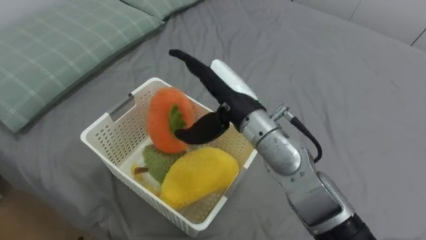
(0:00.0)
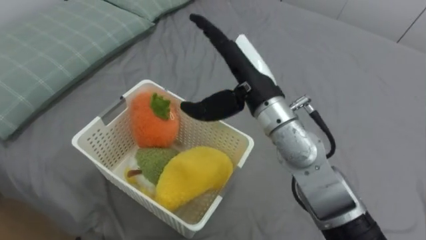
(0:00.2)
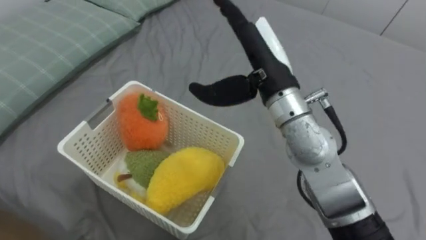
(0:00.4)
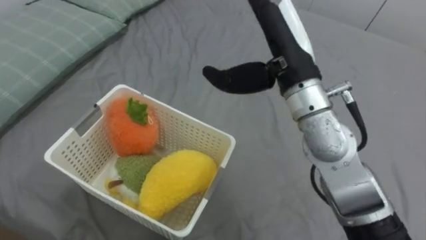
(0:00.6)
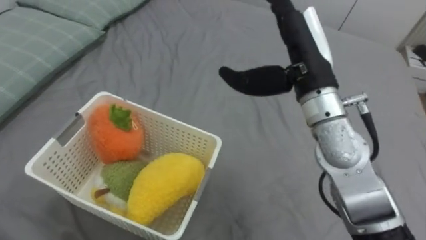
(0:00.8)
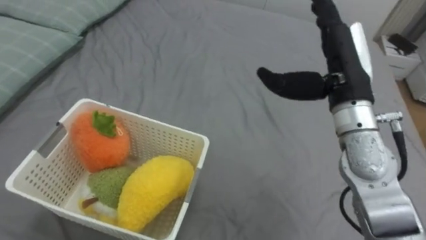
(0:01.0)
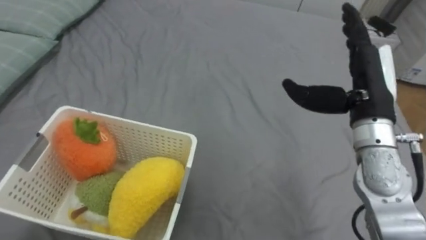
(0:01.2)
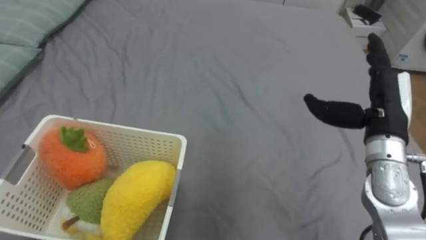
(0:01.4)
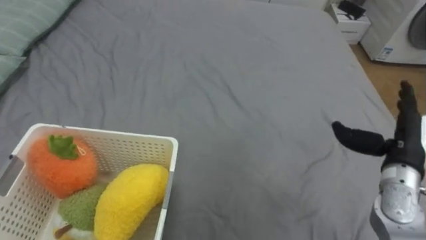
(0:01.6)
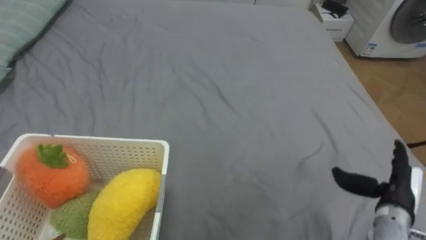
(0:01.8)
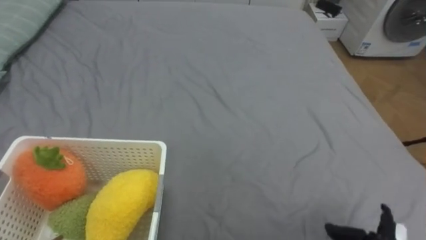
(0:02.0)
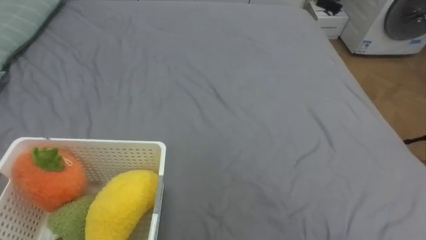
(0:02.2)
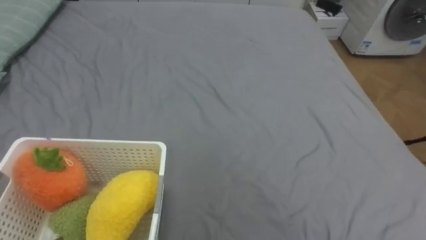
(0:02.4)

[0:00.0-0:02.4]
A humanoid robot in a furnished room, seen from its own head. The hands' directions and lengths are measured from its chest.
Task of the whole recording: Put the toys on the bed into the basket on the left.
0:00.0 to 0:01.2: The right hand heads to the right, covering some 20 cm.

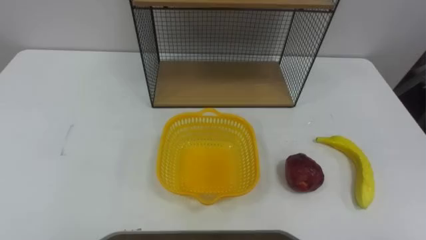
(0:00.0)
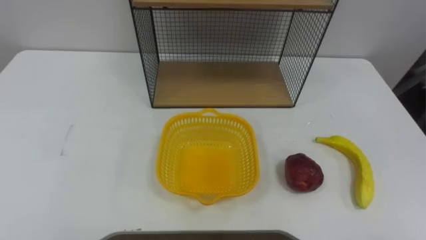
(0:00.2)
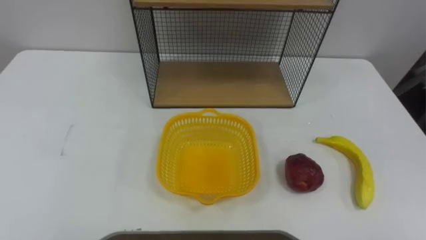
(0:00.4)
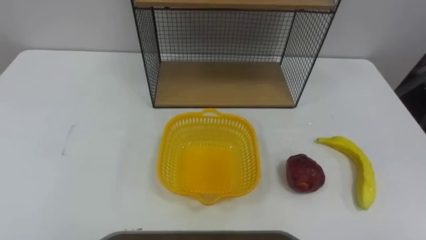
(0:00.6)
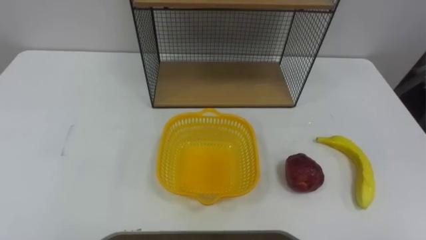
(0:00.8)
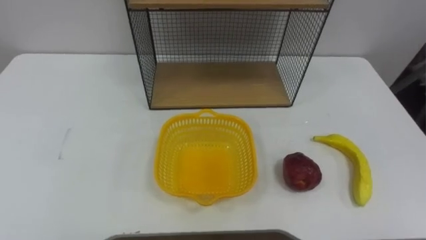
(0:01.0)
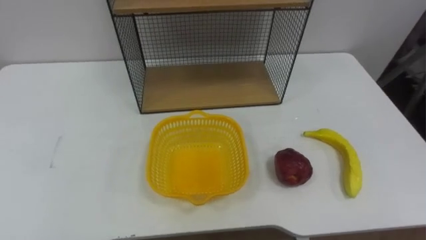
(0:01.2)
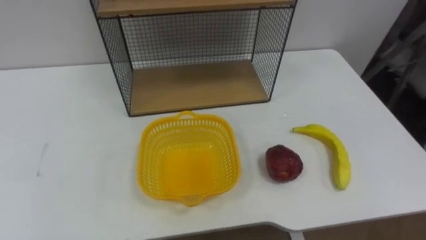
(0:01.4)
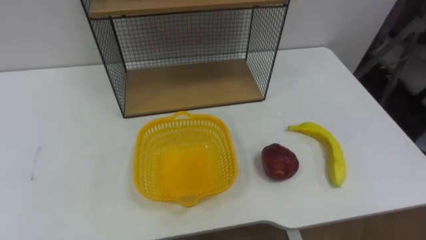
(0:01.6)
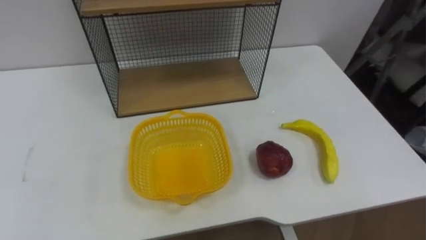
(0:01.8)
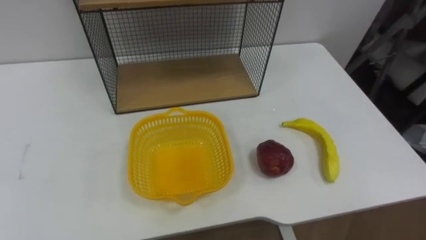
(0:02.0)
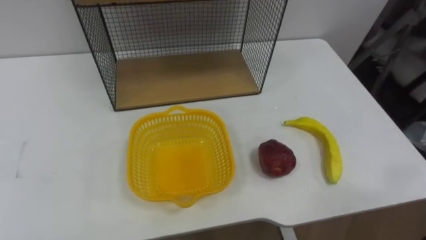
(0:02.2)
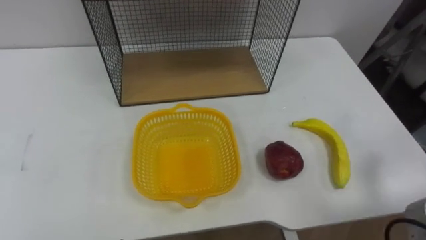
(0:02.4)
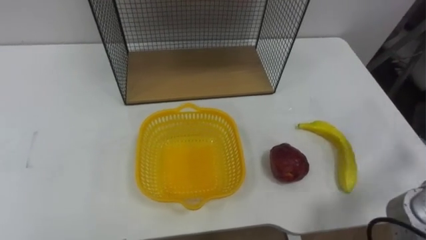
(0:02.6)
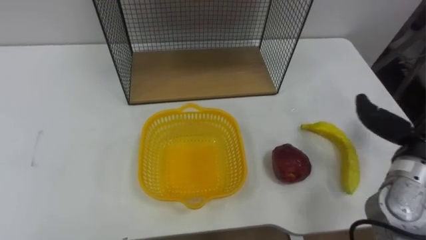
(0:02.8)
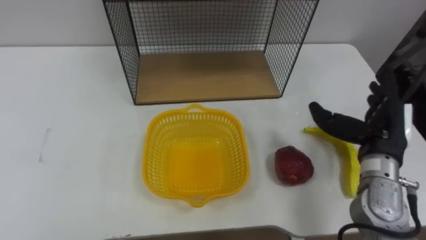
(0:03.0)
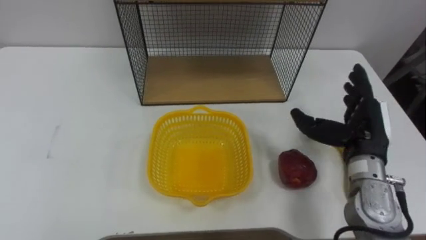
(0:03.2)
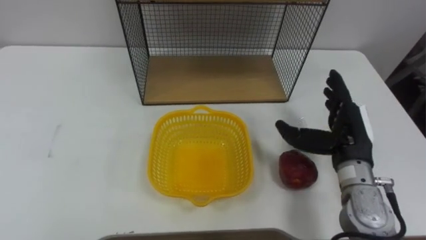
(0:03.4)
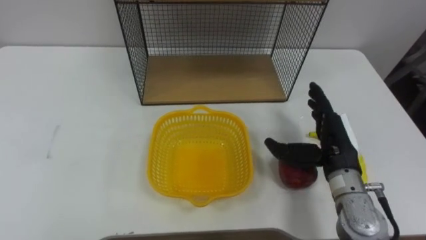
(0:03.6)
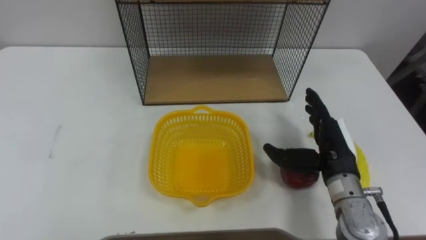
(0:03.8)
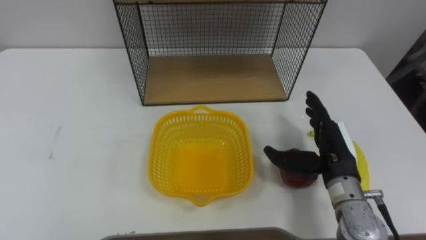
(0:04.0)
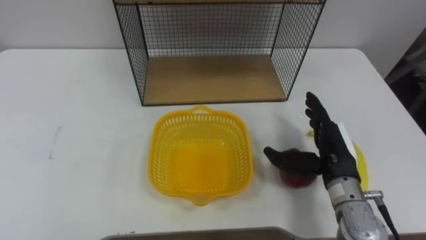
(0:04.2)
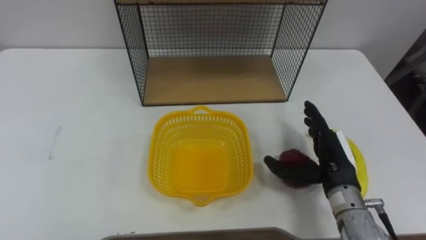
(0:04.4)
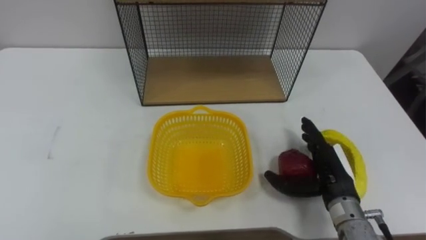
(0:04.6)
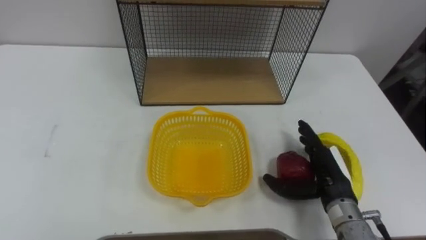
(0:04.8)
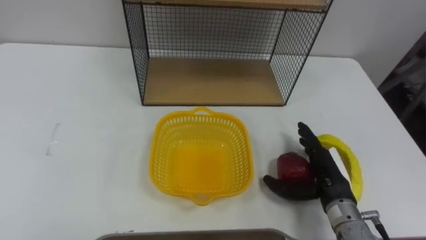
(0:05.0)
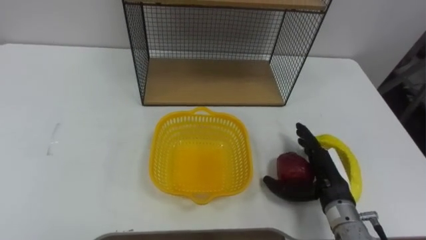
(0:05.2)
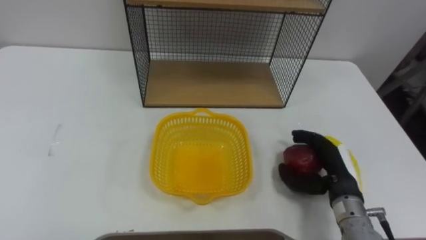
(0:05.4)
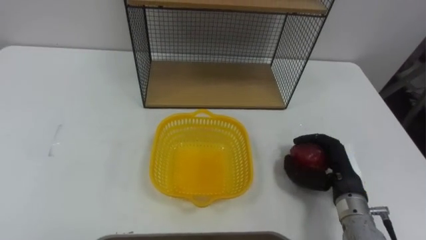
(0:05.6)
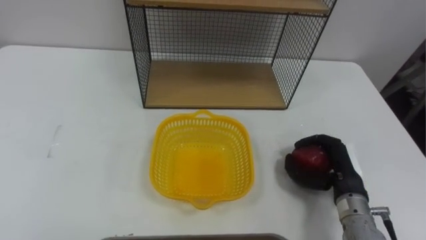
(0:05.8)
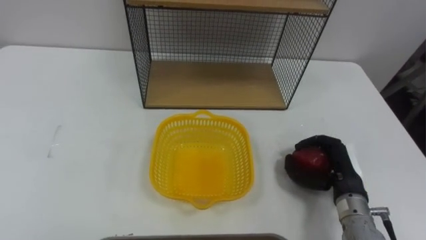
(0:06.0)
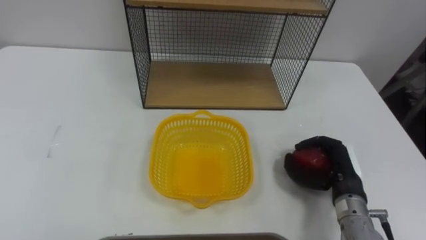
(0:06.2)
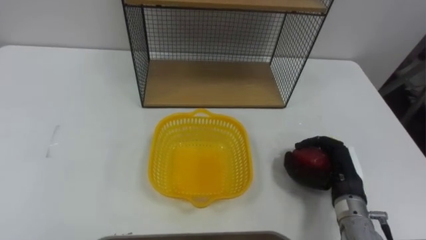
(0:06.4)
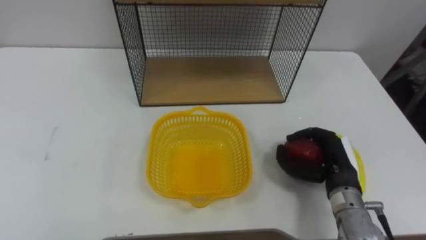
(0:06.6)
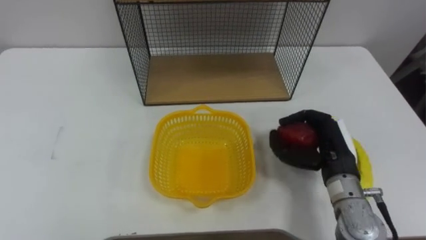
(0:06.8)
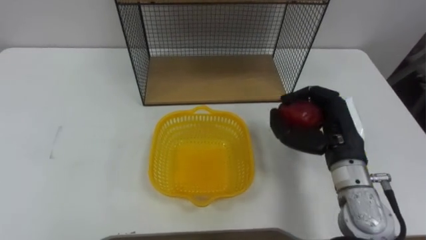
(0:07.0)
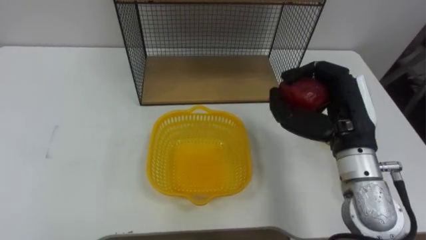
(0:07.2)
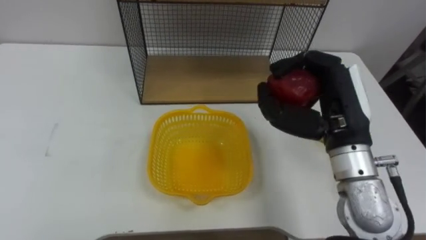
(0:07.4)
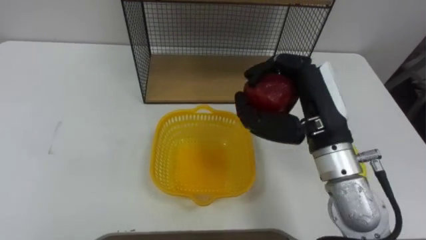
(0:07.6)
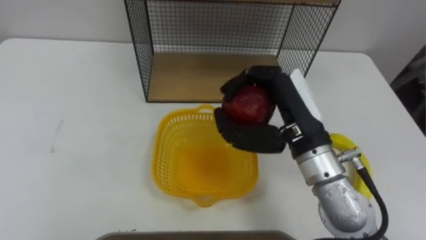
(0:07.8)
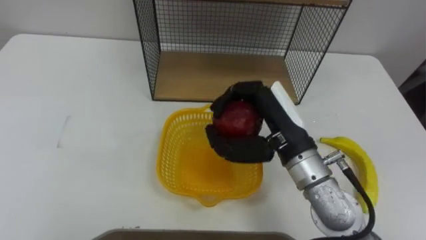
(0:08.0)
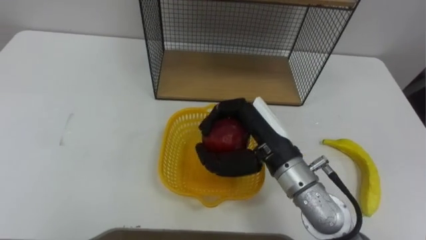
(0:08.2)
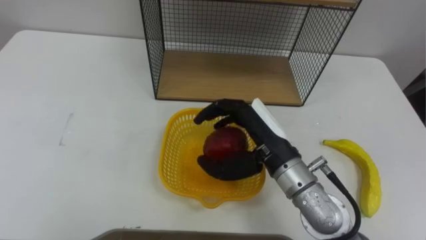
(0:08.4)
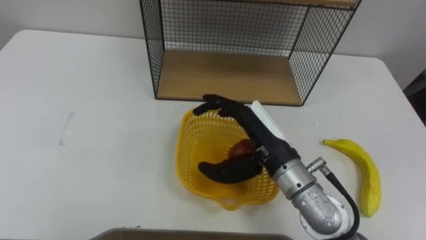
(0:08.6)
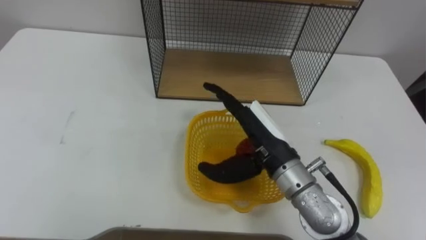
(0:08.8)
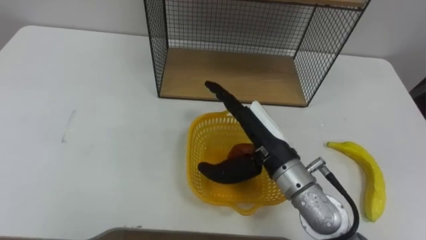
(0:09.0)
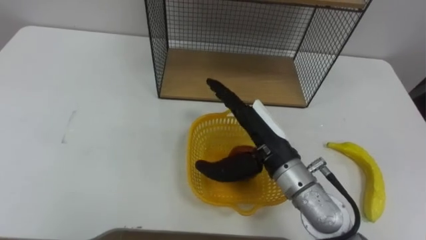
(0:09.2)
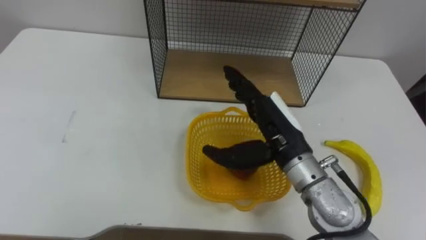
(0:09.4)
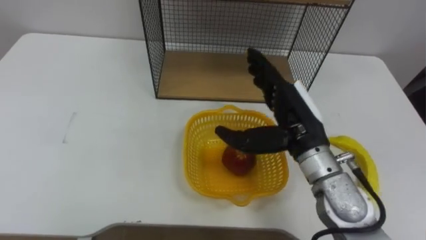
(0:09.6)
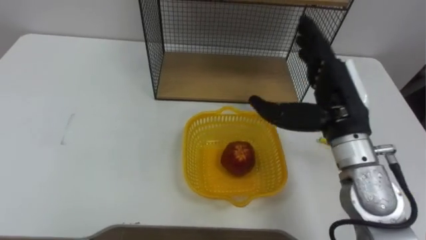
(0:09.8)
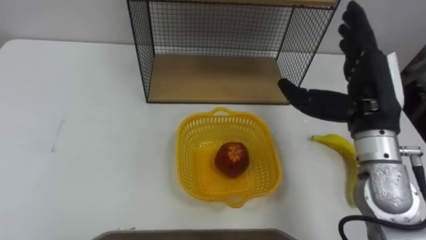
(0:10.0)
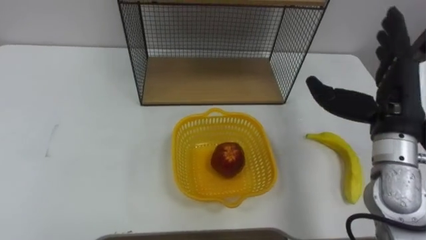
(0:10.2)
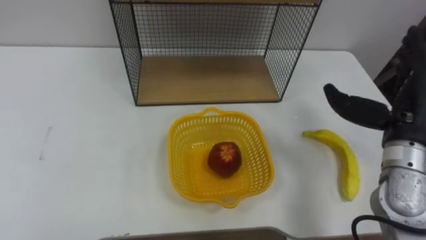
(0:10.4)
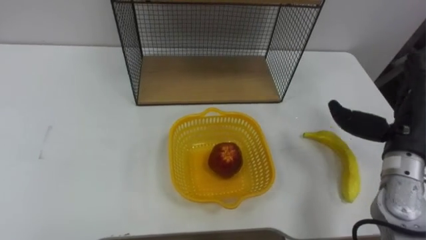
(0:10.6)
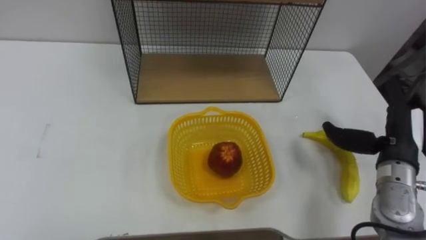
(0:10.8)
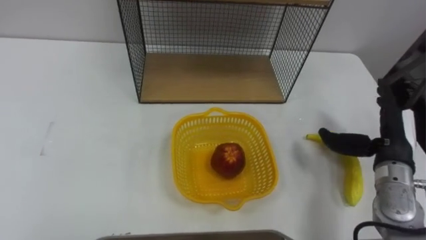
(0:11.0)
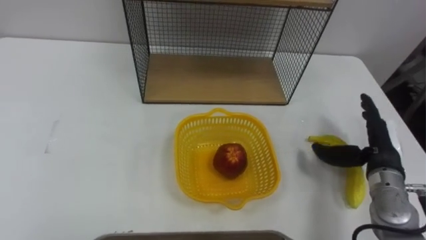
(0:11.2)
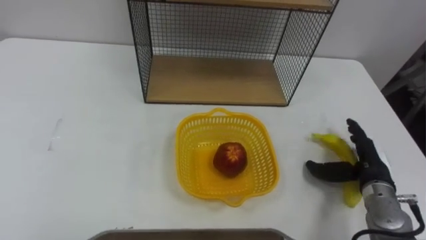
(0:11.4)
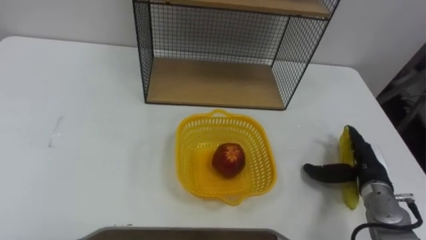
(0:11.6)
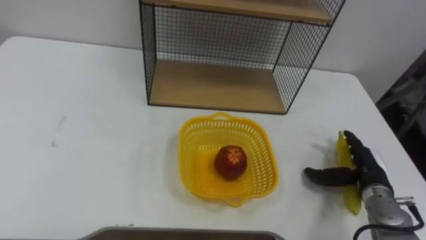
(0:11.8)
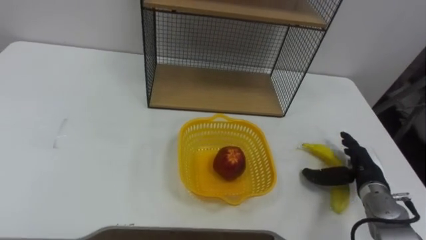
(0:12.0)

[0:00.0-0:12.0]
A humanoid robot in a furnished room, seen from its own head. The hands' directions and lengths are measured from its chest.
Task of the whole recording: Put the fruit on the table into the basket, then place the basket on the shelf.
0:03.0 to 0:04.4: The right hand shifts about 10 cm to the left and downward.
0:04.4 to 0:06.0: The right hand shifts by roughly 5 cm, and closes.
0:06.0 to 0:07.6: The right hand is displaced upward and to the left by about 20 cm.
0:07.6 to 0:09.0: The right hand heads downward and to the left, covering roughly 10 cm, and opens up.
0:09.0 to 0:10.4: The right hand heads to the right, covering about 20 cm.
0:10.4 to 0:12.0: The right hand travels downward by some 20 cm.

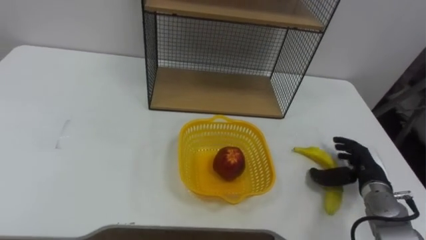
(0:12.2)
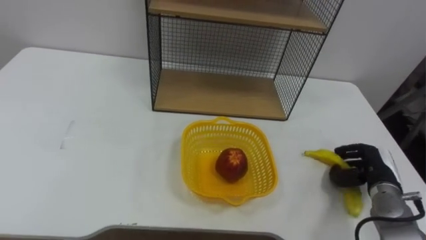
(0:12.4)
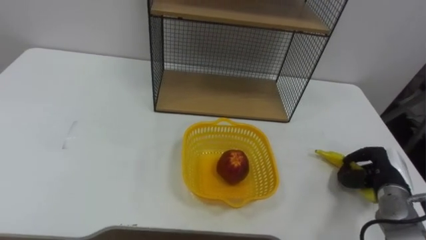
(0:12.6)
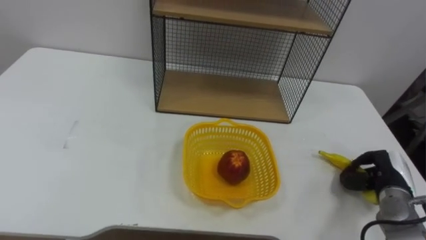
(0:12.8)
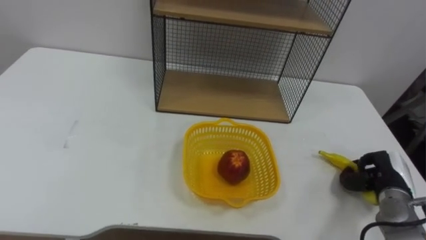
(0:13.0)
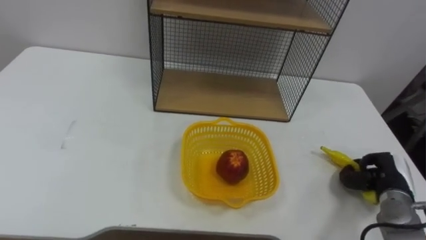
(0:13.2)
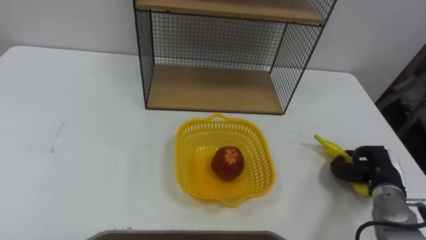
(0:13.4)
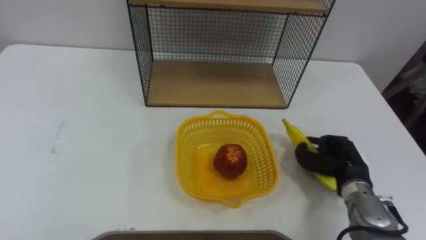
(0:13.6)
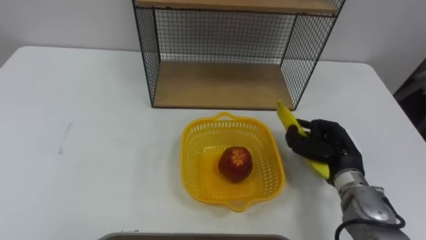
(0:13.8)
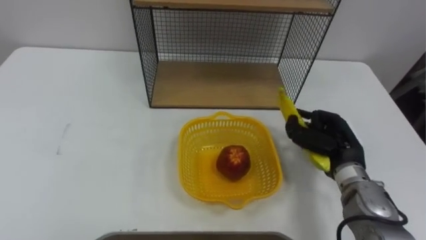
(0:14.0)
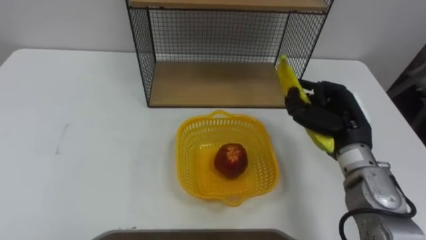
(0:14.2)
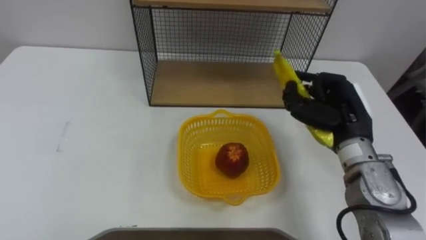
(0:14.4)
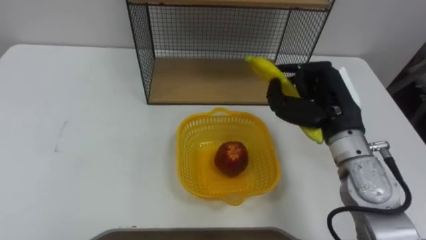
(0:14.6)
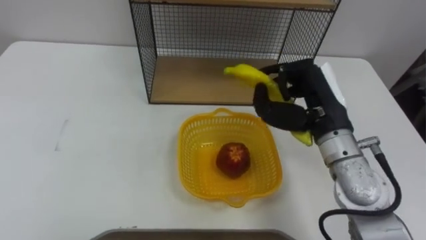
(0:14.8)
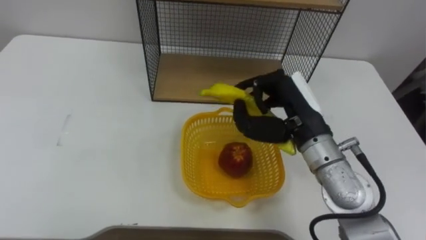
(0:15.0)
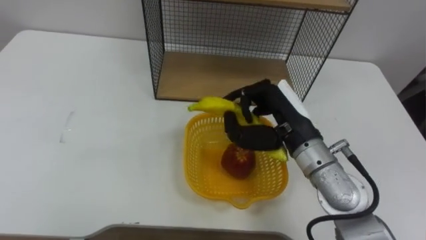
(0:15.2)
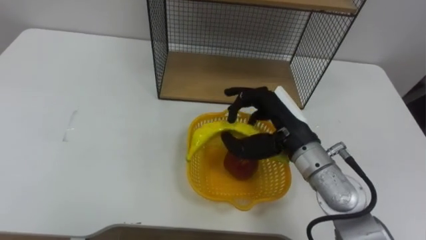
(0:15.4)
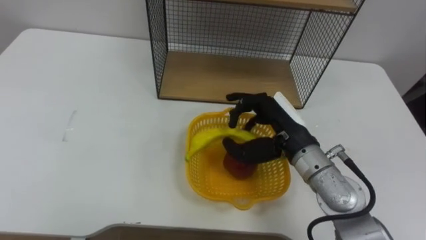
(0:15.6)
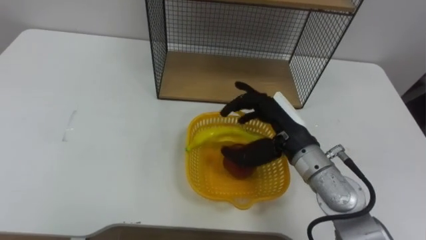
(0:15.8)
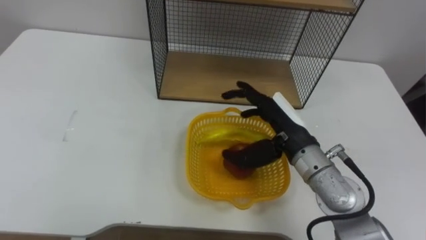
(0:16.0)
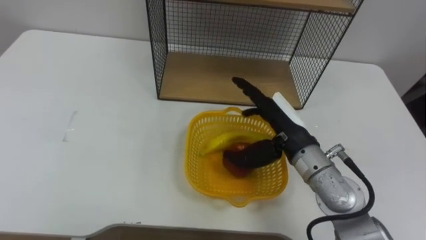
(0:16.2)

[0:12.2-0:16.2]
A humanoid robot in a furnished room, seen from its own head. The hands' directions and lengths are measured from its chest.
Task of the whole recording: Put the fruit on the table into the basket, then place the basket on the shelf.
0:12.2 to 0:13.6: The right hand moves approximately 5 cm, and closes its fingers.
0:13.6 to 0:14.8: The right hand goes approximately 20 cm upward and to the left.
0:14.8 to 0:16.2: The right hand shifts by approximately 5 cm, and opens up.
